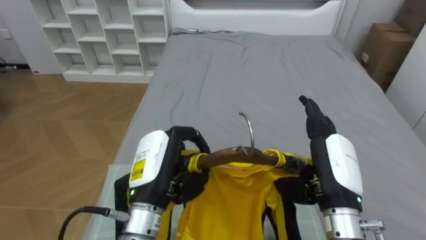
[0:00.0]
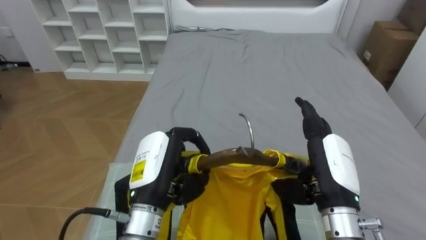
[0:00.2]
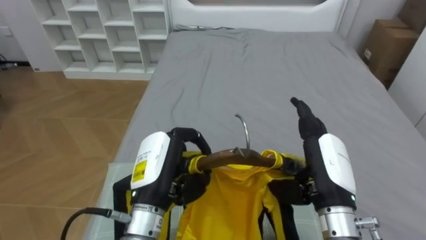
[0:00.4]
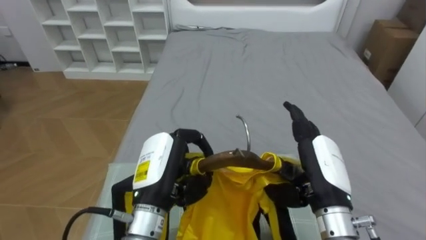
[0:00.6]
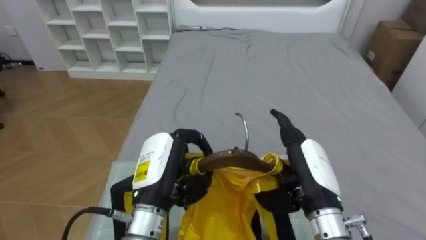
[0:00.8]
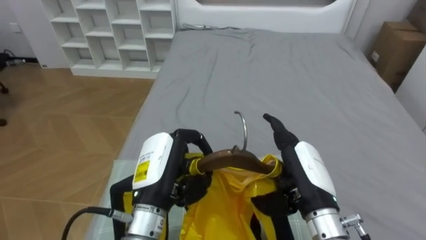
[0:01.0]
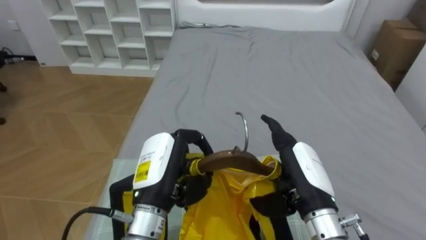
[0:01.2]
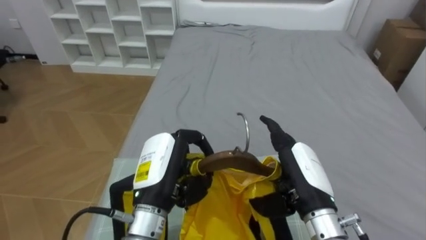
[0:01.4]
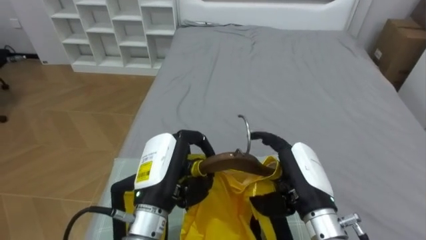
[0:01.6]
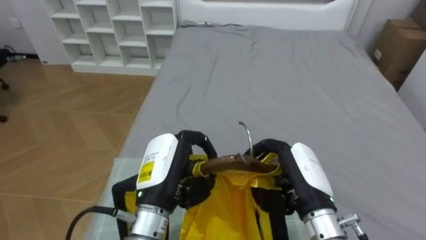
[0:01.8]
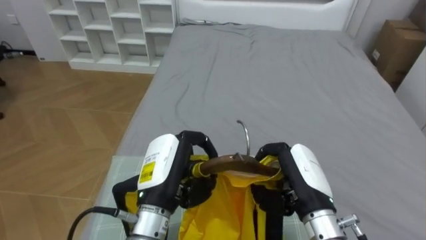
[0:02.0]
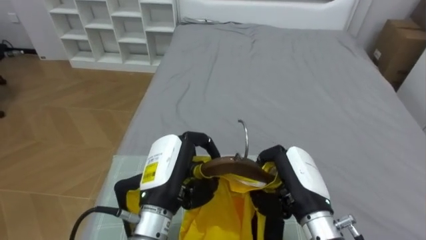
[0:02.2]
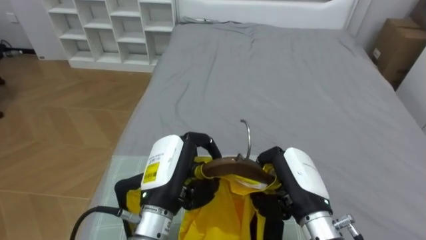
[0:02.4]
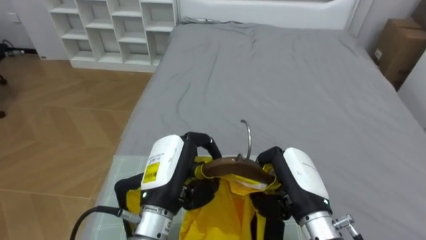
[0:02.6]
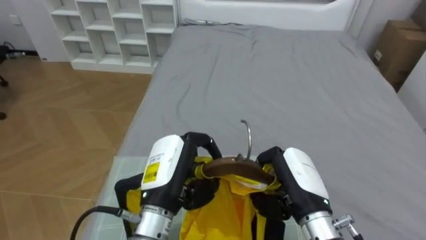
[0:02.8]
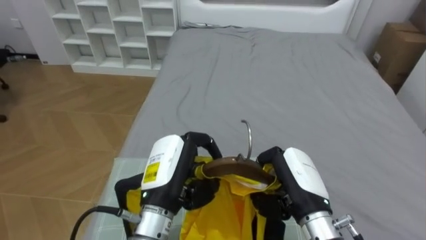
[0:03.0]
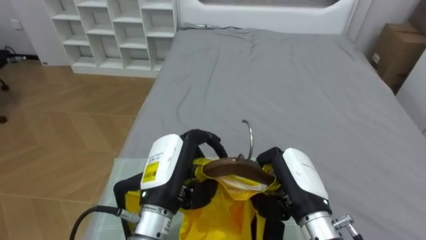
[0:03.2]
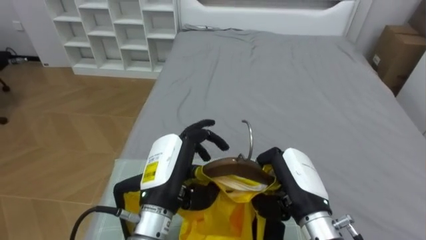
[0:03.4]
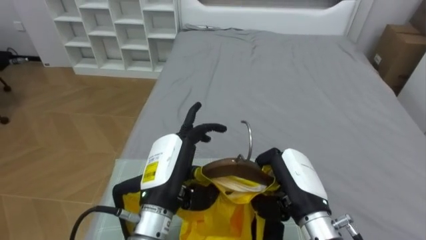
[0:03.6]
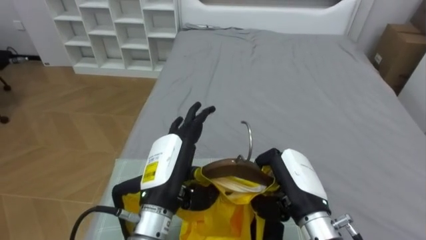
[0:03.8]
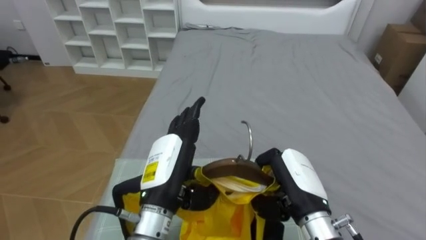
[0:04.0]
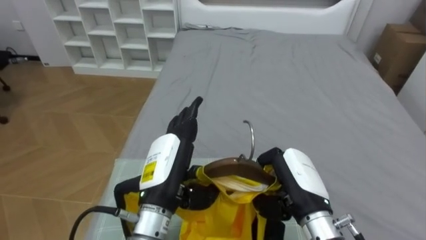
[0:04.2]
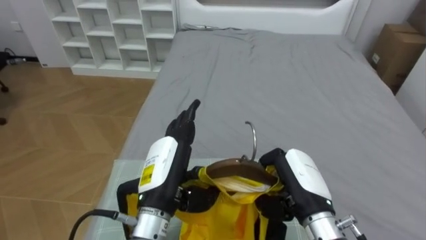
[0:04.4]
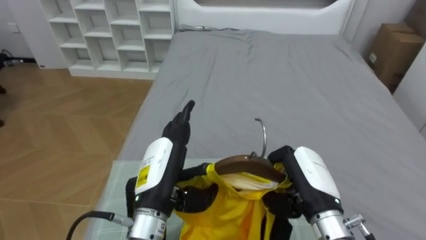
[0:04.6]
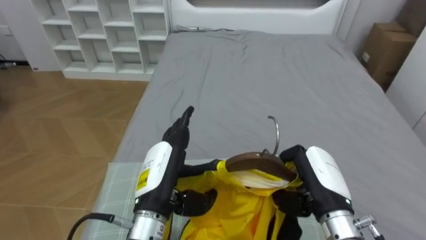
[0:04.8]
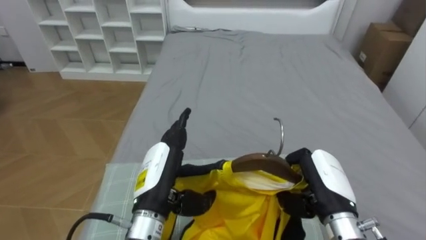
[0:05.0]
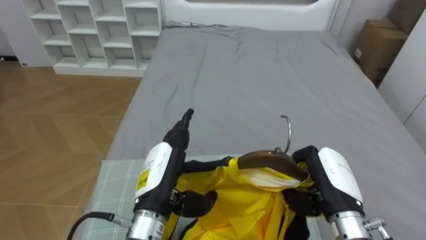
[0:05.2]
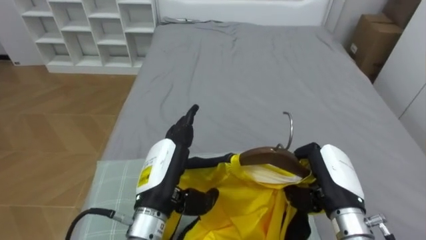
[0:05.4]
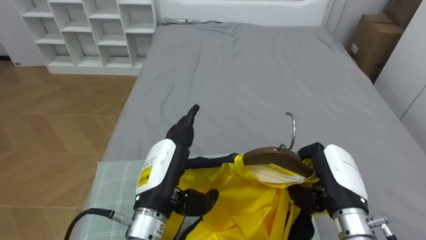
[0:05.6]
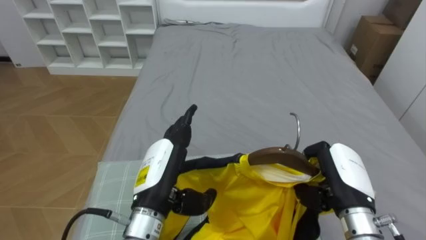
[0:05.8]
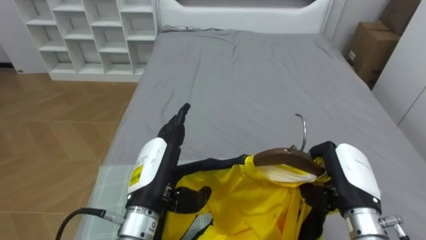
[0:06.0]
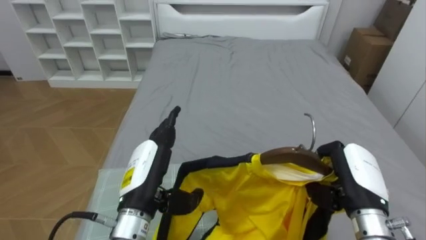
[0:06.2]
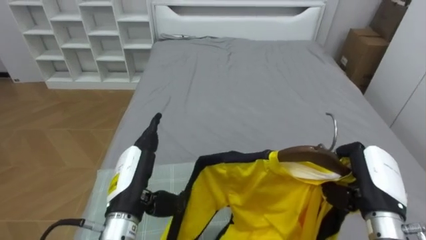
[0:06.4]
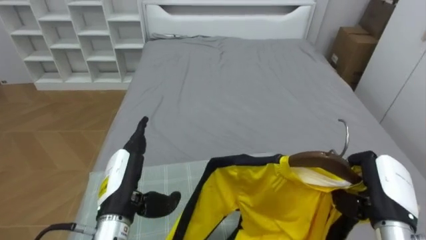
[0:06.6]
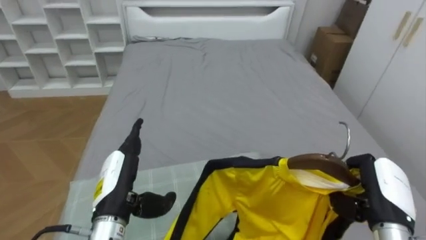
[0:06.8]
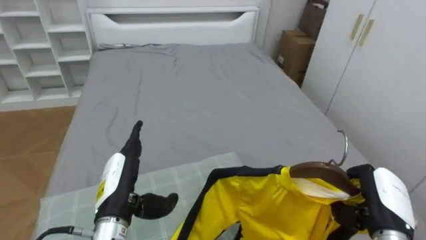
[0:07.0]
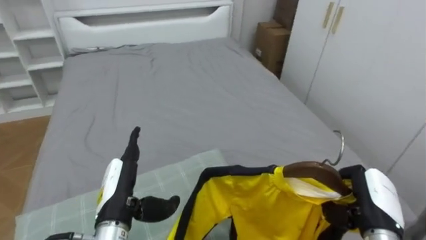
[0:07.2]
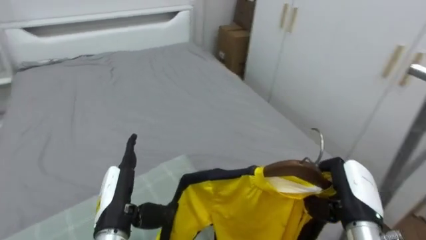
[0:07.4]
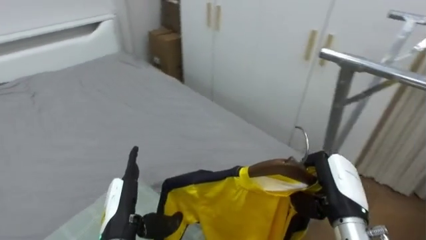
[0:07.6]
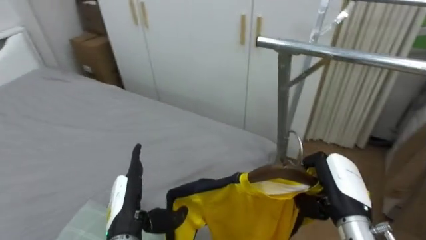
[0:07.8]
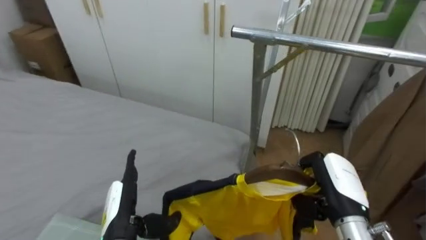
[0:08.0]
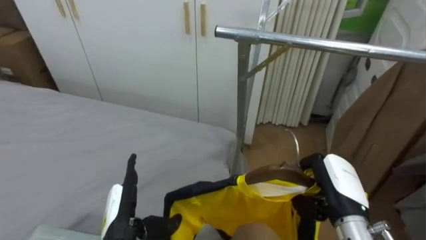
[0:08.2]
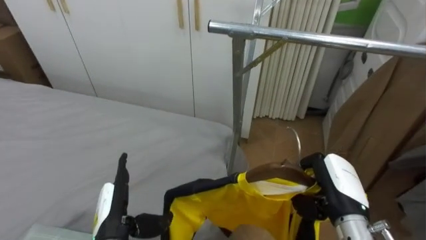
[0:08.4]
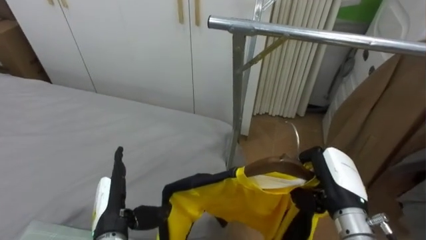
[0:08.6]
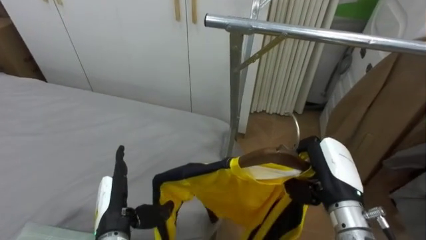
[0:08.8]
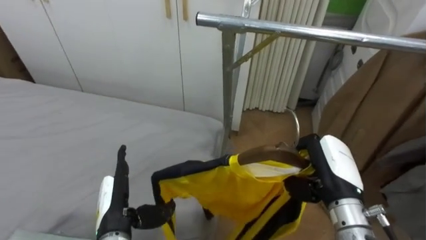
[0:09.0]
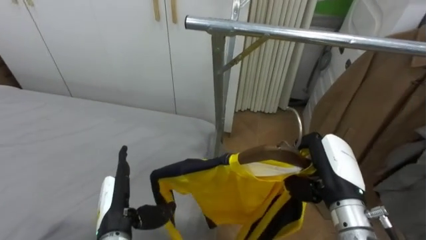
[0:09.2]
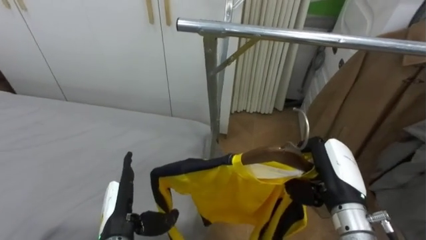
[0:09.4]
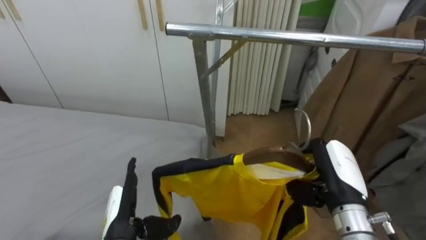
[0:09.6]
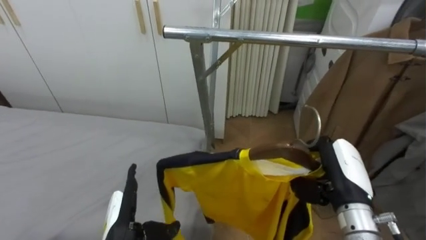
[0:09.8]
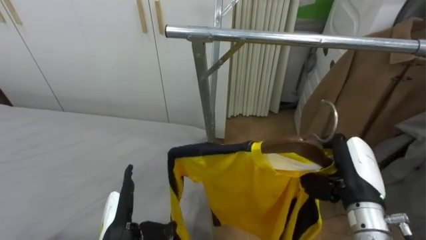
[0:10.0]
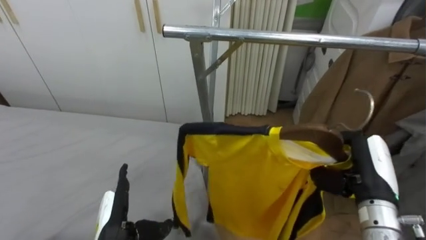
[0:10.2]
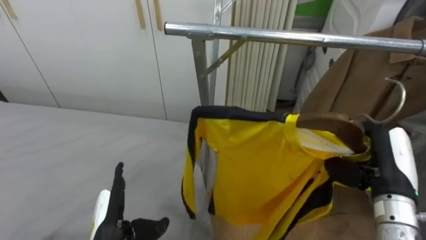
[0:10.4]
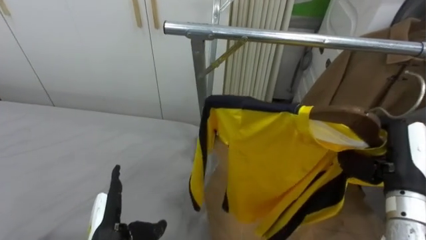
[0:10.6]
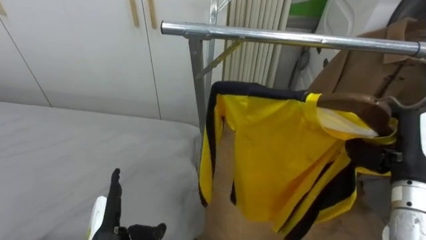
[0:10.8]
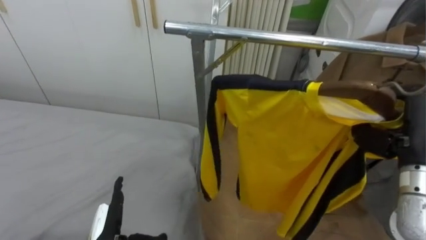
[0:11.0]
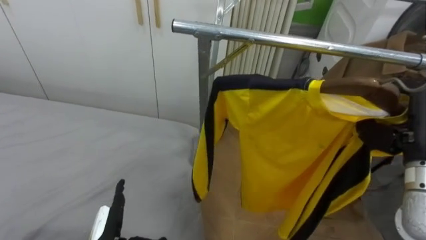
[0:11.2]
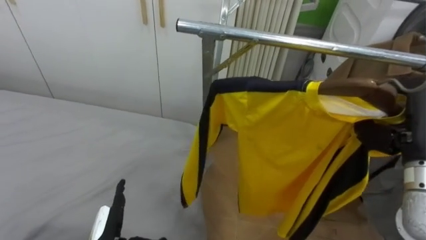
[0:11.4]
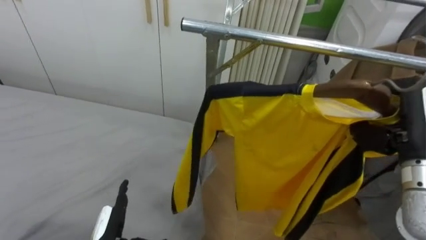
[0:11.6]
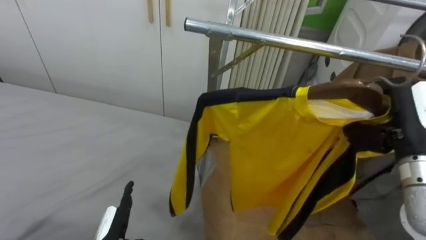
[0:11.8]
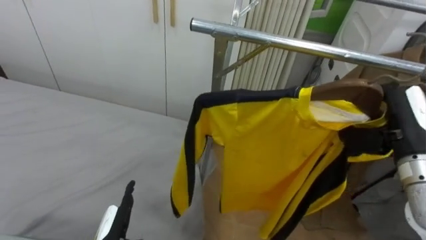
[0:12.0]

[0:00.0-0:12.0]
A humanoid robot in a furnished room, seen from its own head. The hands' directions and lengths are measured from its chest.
Task of the whole recording: Pick up the yellow shirt on the bed and hang it on the clothes rack on the right.
0:01.6 to 0:03.0: The right hand closes up.
0:03.0 to 0:04.4: The left hand opens up.
0:04.4 to 0:06.0: The right hand is displaced to the right by some 10 cm.
0:06.0 to 0:07.6: The robot turns to its right by approximately 45 degrees. The left hand shifts some 10 cm downward and to the left.
0:07.6 to 0:09.0: The robot turns to its right by some 35 degrees.
0:09.0 to 0:10.4: The right hand goes approximately 5 cm to the right.
0:10.4 to 0:12.0: The right hand moves upward, about 5 cm.

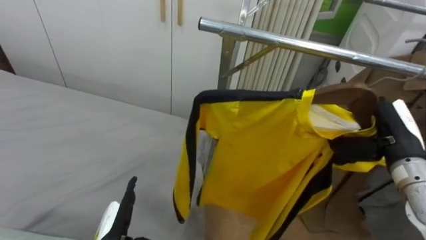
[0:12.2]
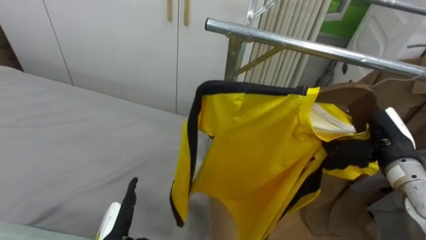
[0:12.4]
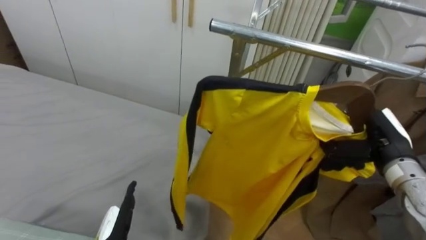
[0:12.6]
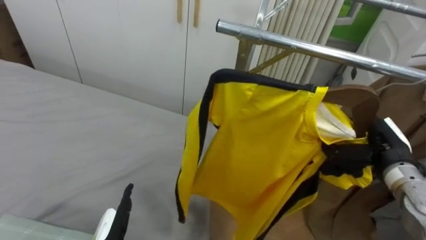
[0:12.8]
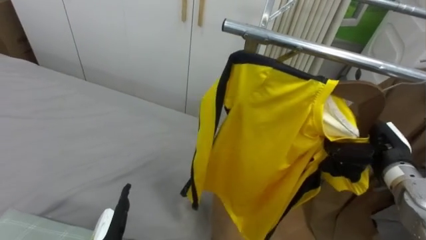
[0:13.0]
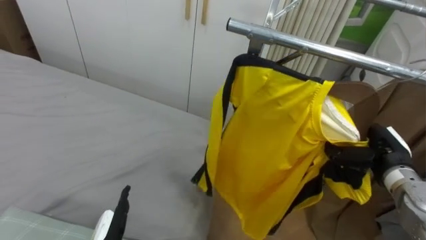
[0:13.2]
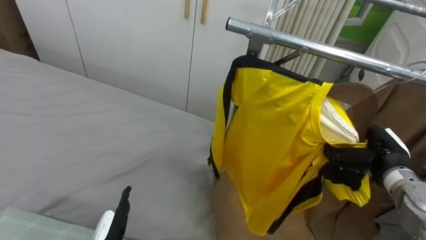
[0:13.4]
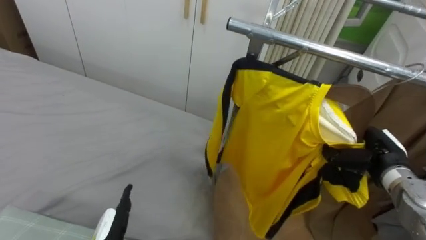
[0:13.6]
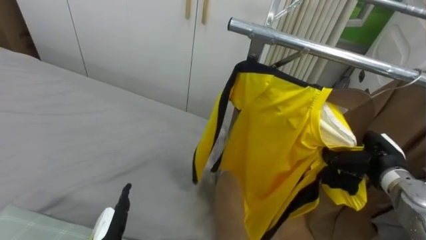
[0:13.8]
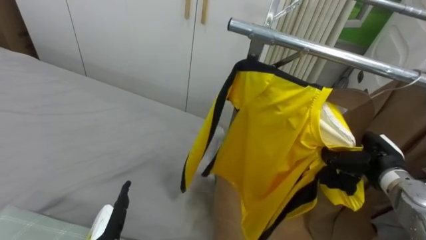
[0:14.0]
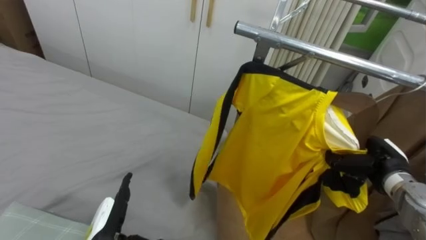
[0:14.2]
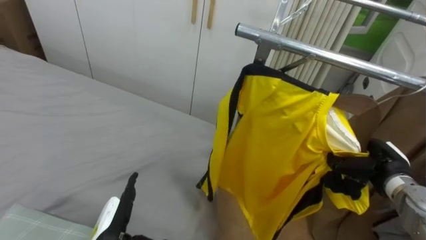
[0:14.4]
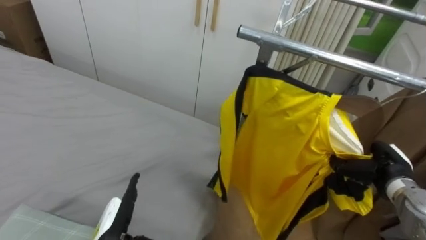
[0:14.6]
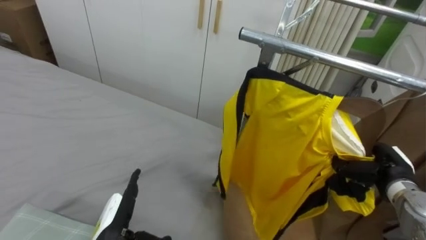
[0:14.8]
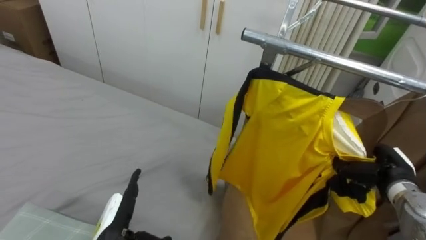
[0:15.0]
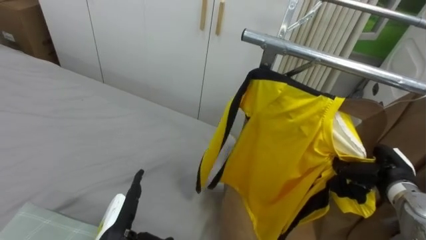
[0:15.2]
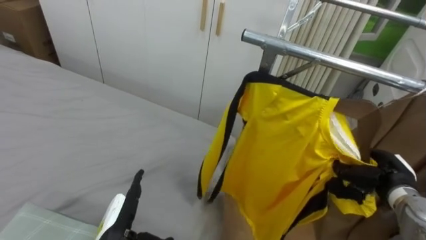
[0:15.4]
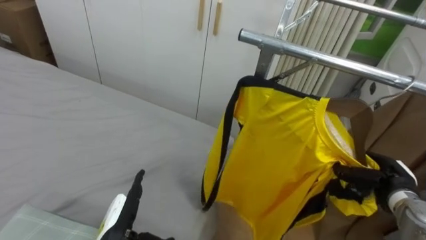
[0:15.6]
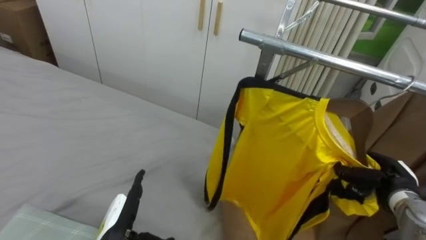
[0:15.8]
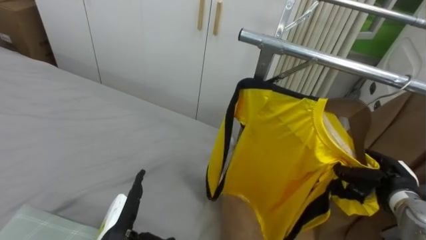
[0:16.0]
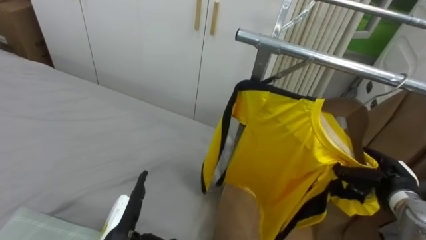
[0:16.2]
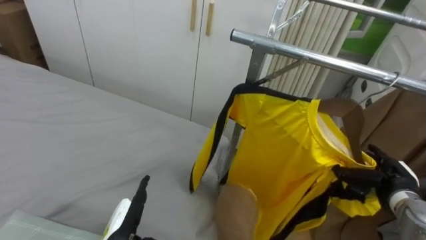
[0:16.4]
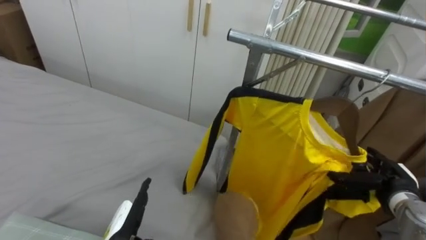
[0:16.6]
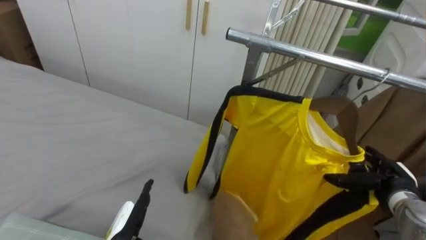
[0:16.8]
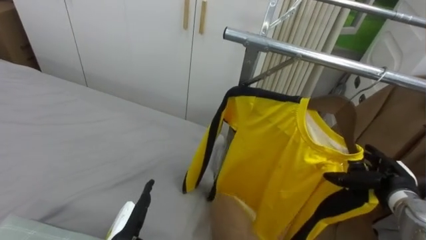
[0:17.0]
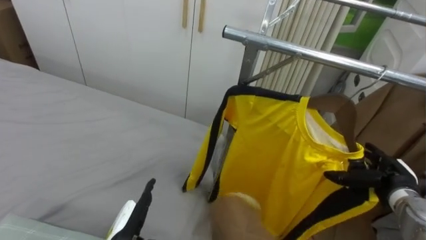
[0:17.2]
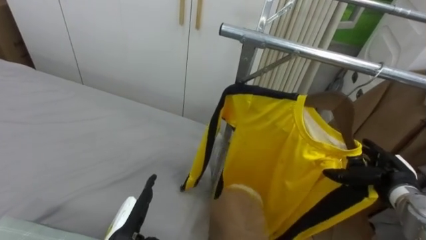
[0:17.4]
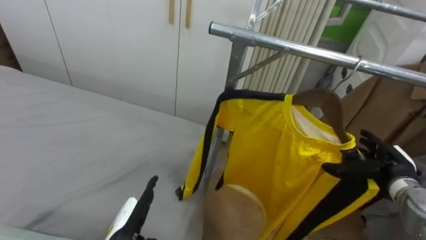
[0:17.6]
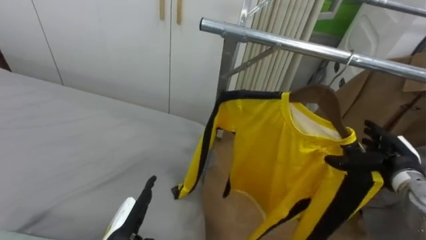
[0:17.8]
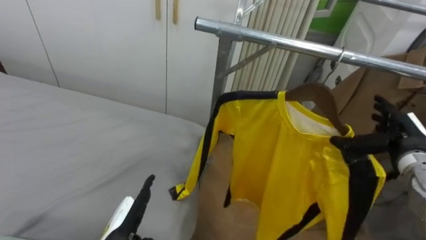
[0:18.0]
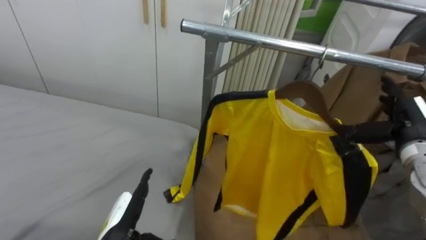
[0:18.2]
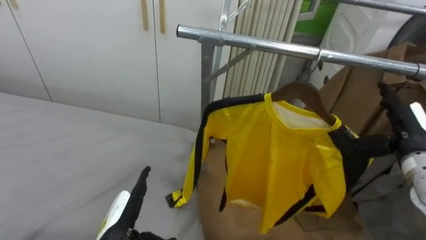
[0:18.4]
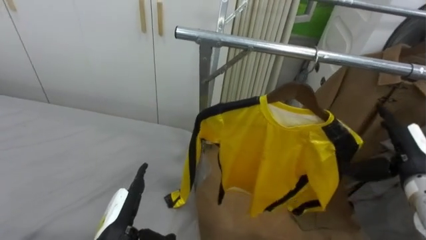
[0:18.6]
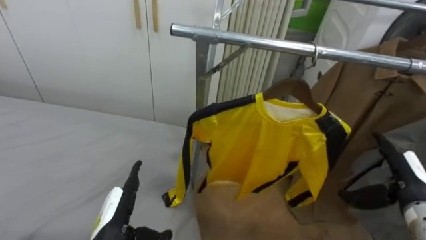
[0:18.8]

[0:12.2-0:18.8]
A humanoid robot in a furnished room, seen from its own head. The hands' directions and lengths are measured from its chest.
Task of the whole recording: Pick up the yellow shirt on the bed and hang it on the clothes rack on the right.
0:12.2 to 0:13.8: The right hand is displaced downward by about 10 cm.
0:15.4 to 0:17.2: The right hand opens up.
